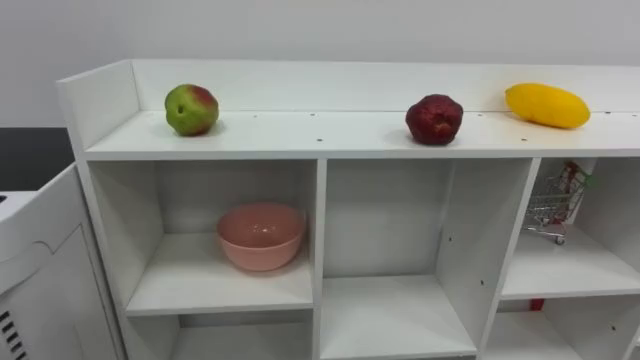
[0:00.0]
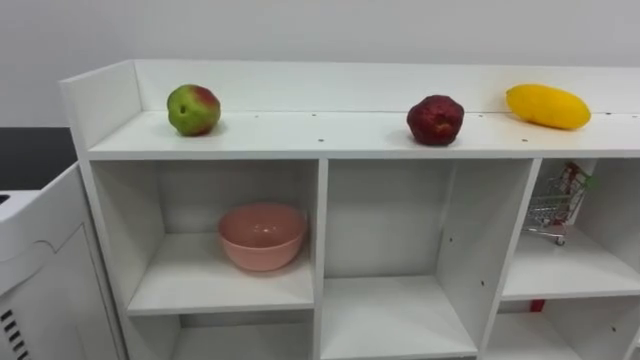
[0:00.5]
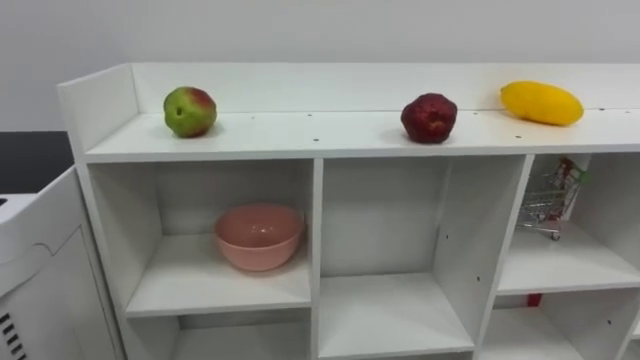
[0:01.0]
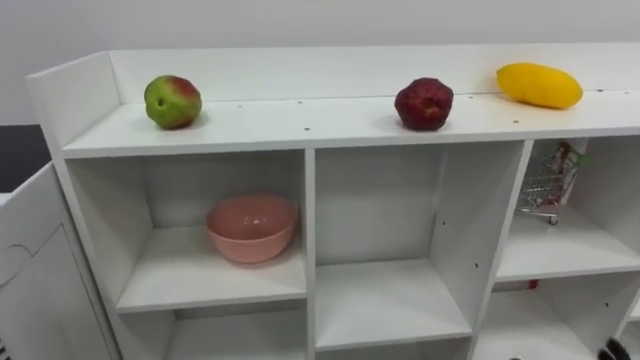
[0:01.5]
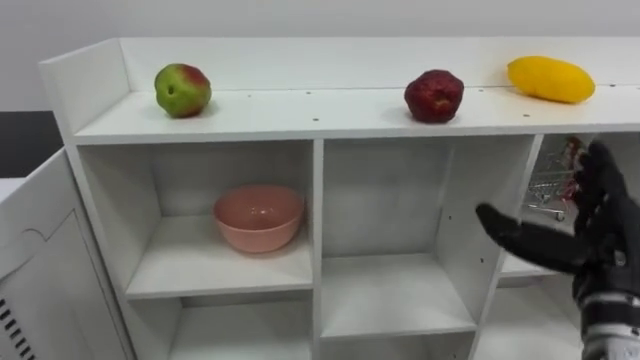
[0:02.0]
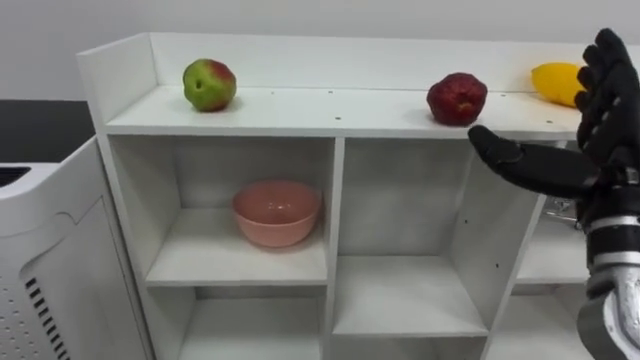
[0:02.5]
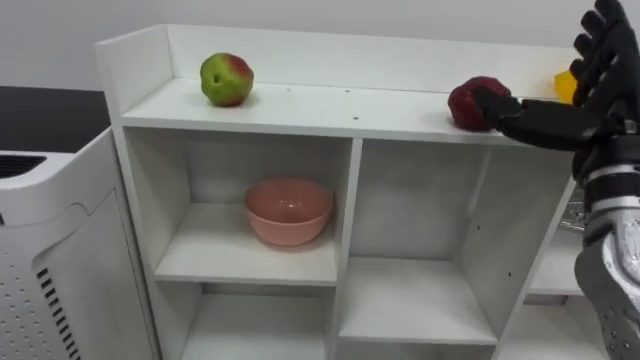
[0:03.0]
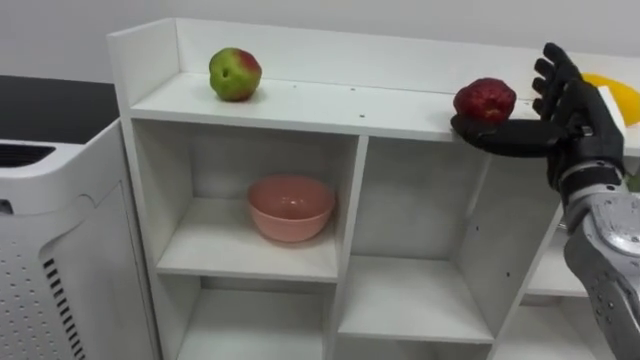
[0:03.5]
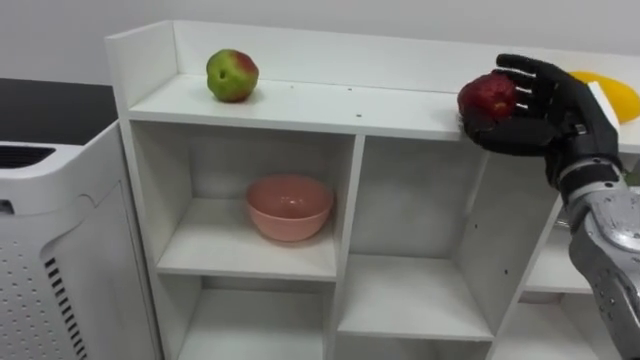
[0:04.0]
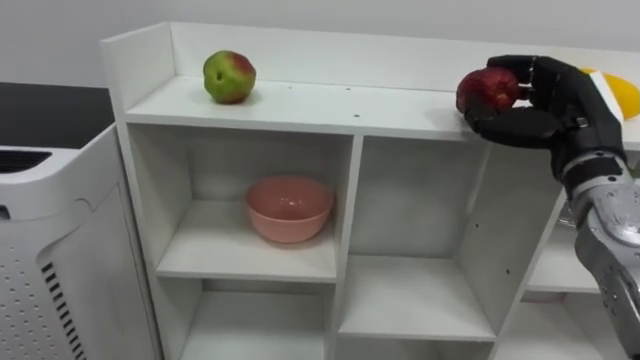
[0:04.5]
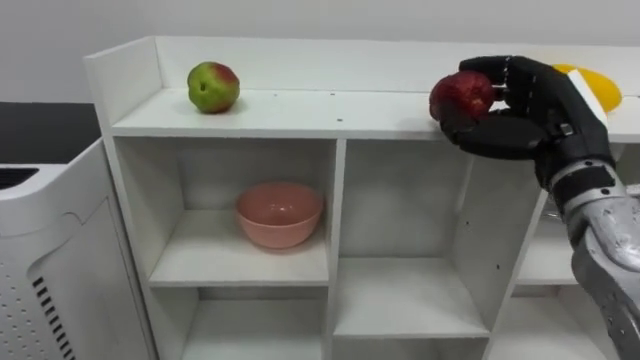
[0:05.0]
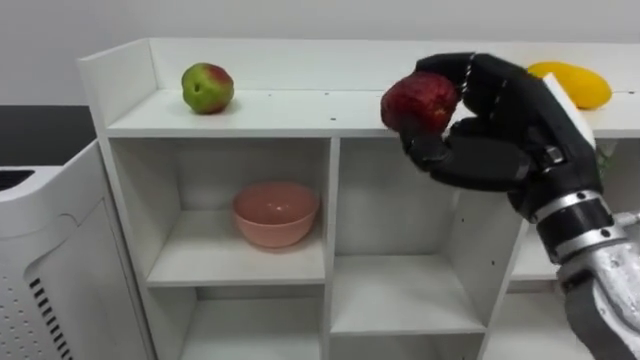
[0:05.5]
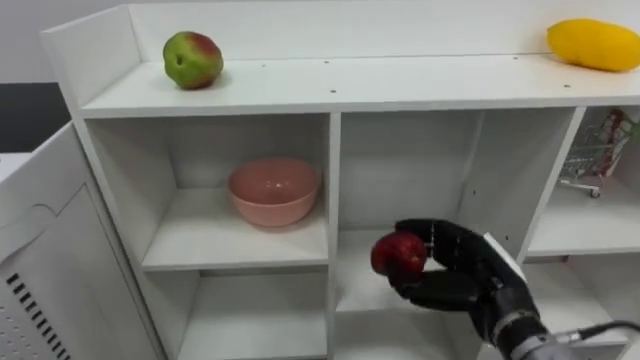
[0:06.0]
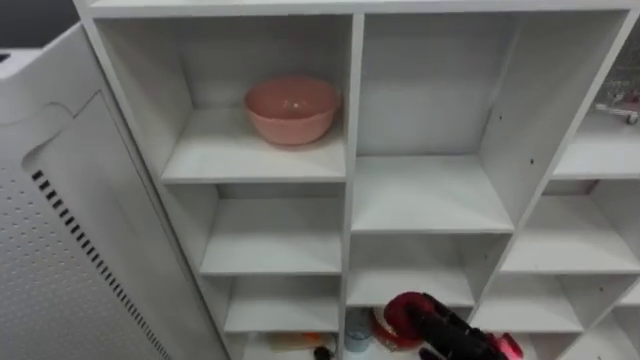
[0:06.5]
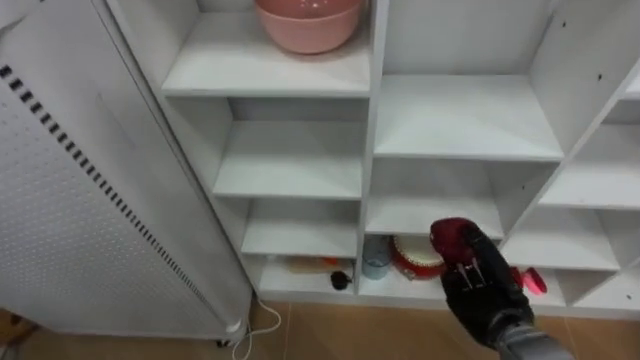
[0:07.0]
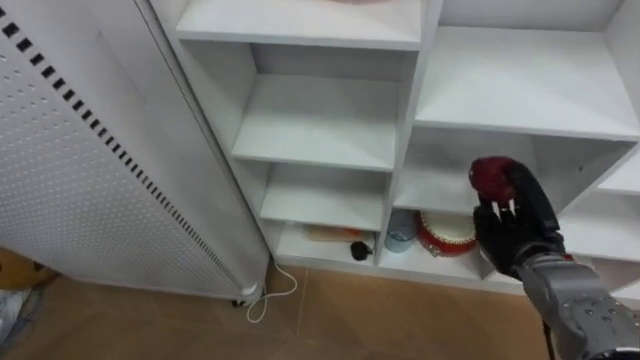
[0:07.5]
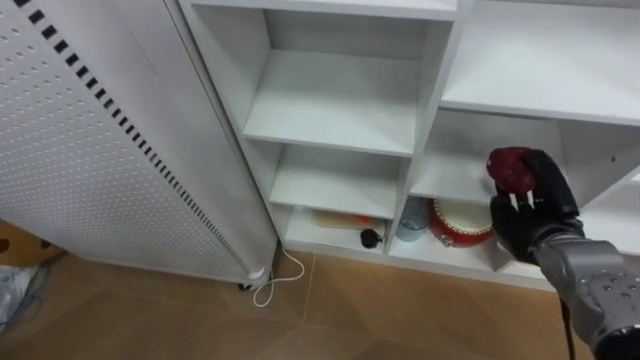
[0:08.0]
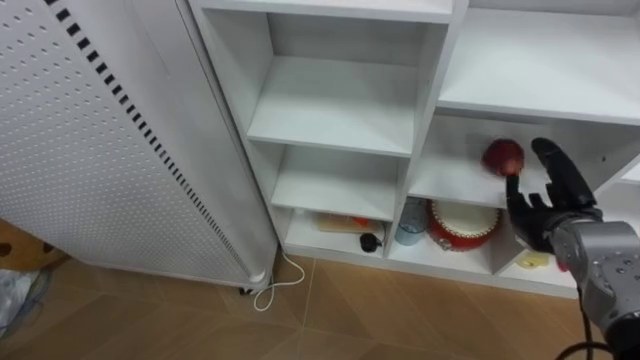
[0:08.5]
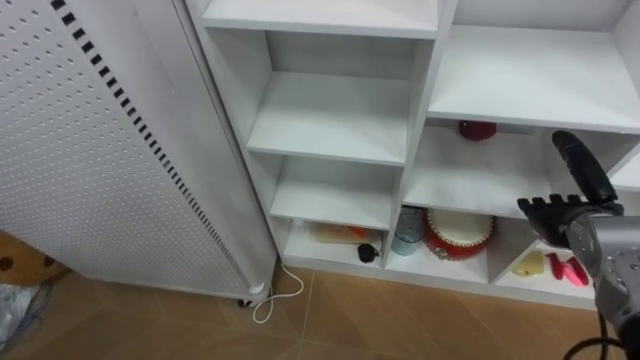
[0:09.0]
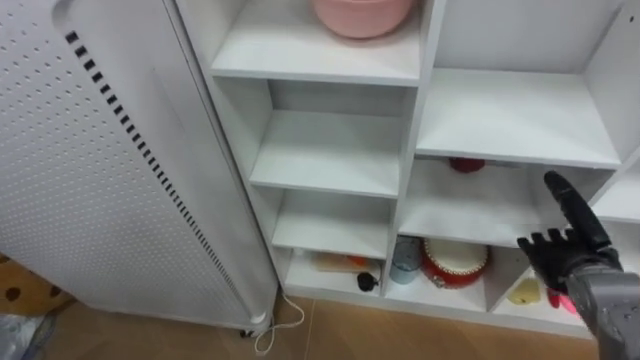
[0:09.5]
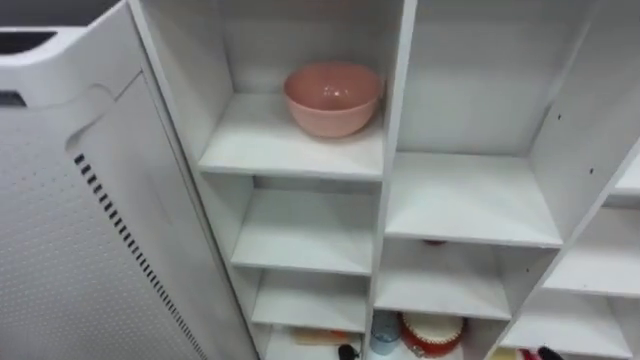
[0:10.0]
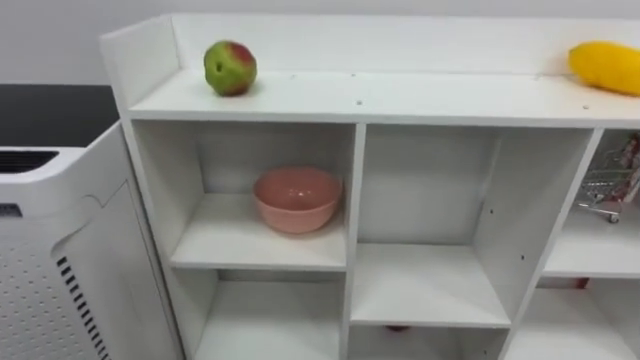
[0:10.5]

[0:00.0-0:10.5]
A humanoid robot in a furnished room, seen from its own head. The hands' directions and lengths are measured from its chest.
Task of the whole recording: Put the apple in the cell in the second column from the left and the second row from the top.
0:02.0 to 0:04.0: The right hand moves forward and upward, about 15 cm.

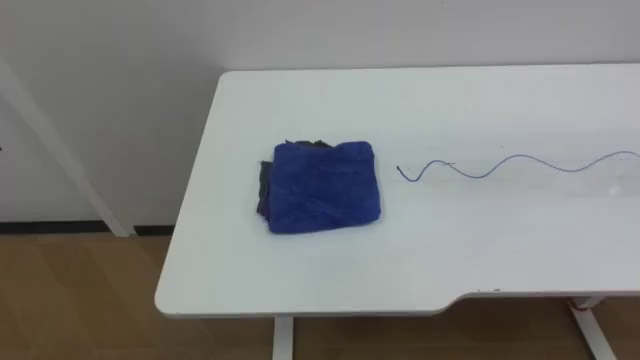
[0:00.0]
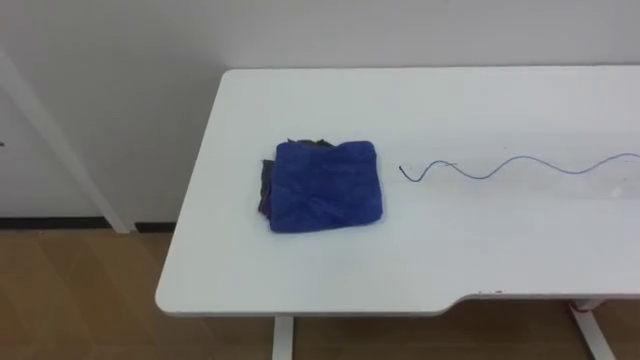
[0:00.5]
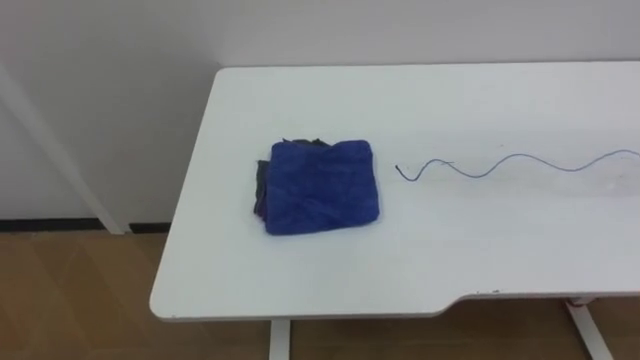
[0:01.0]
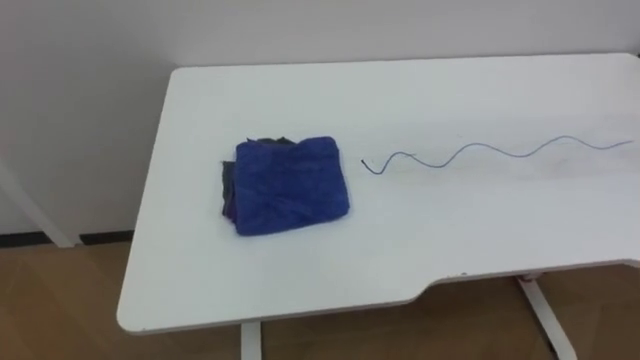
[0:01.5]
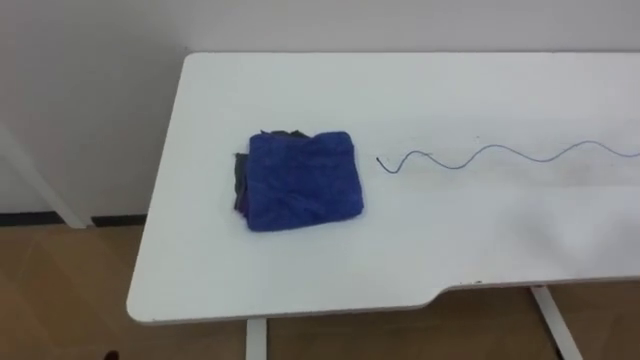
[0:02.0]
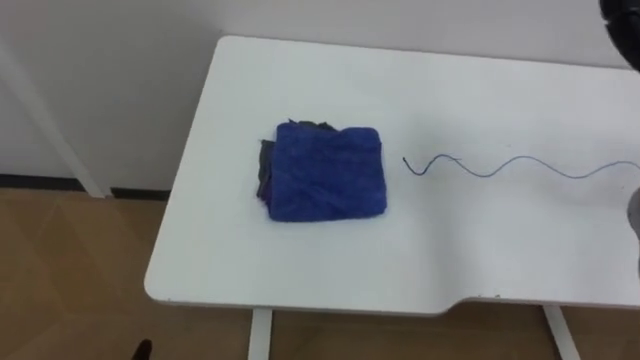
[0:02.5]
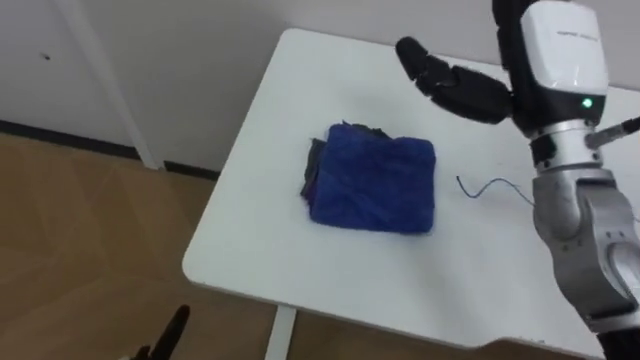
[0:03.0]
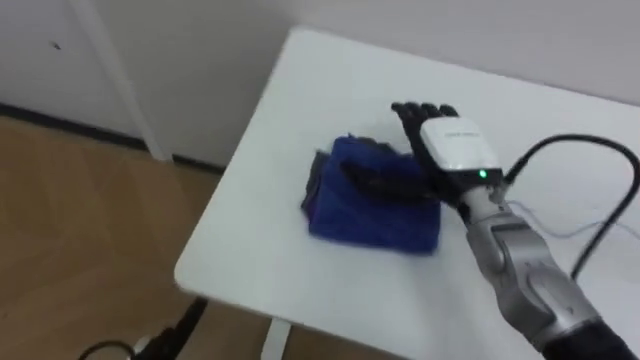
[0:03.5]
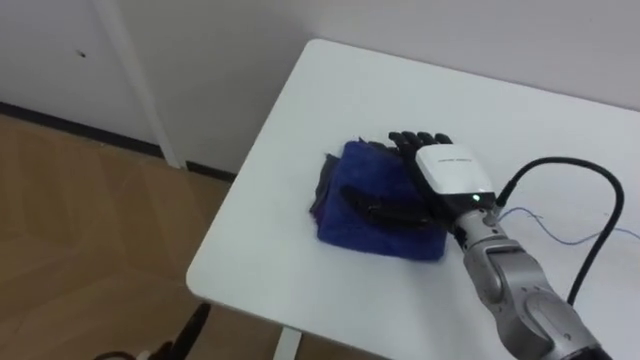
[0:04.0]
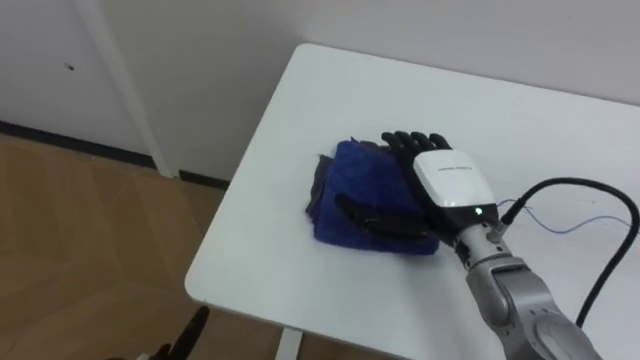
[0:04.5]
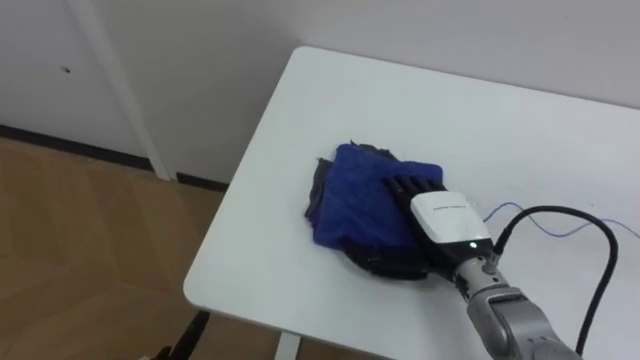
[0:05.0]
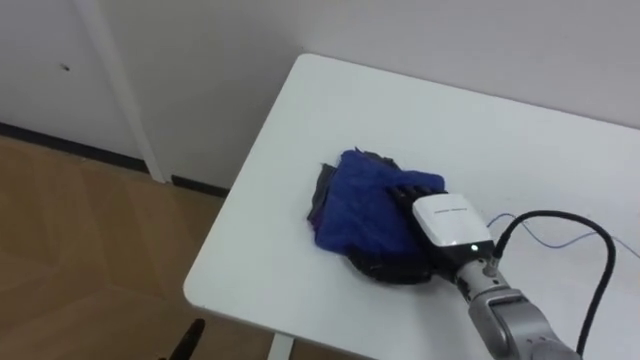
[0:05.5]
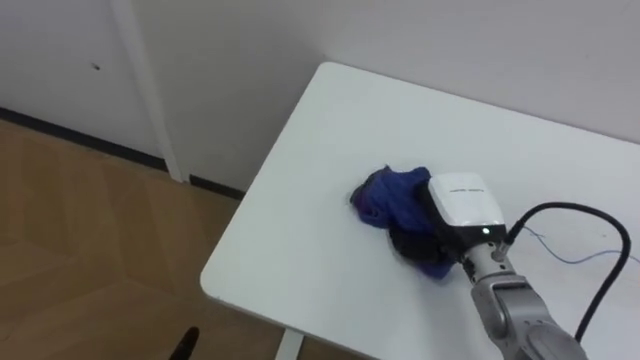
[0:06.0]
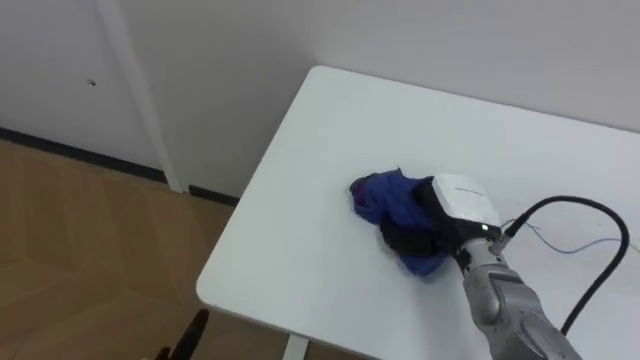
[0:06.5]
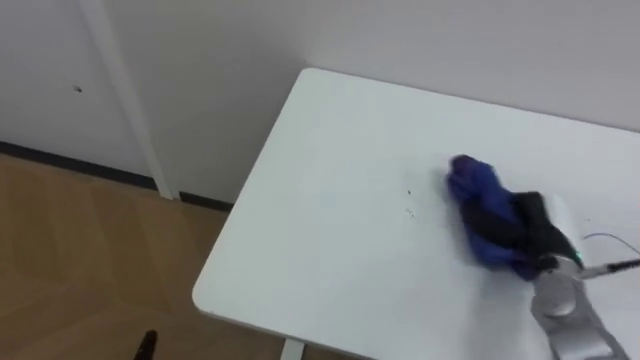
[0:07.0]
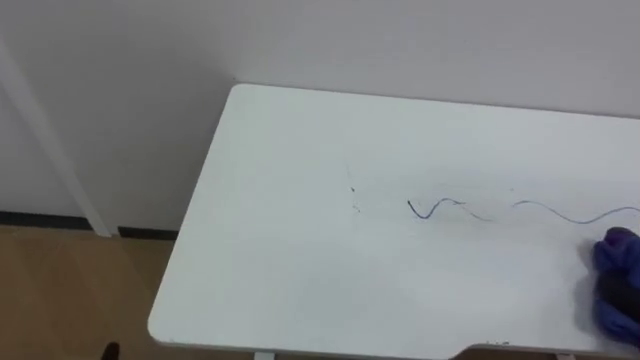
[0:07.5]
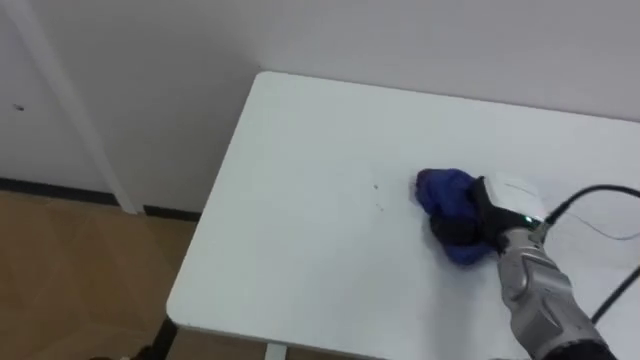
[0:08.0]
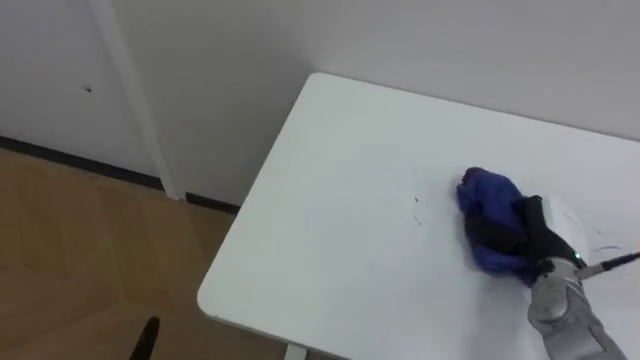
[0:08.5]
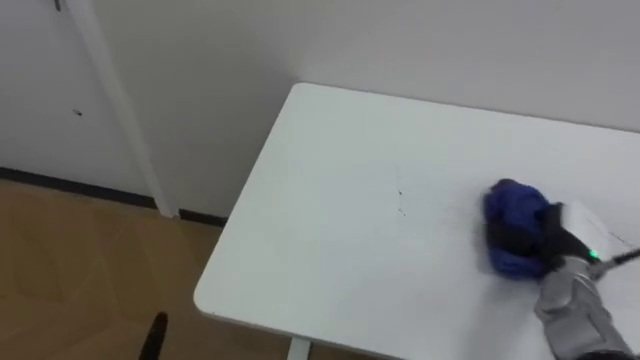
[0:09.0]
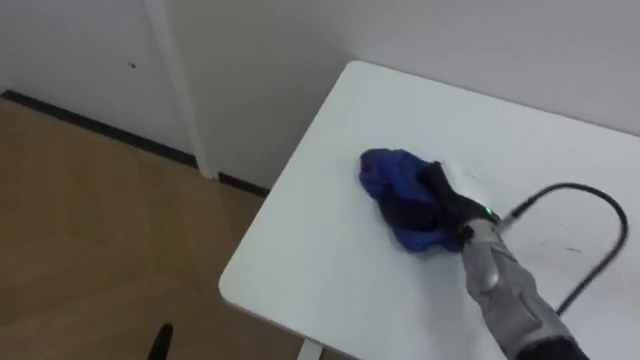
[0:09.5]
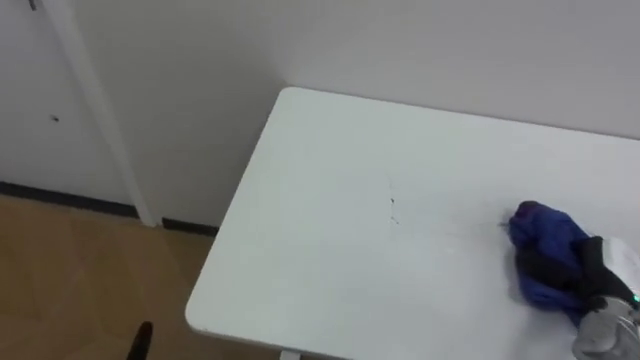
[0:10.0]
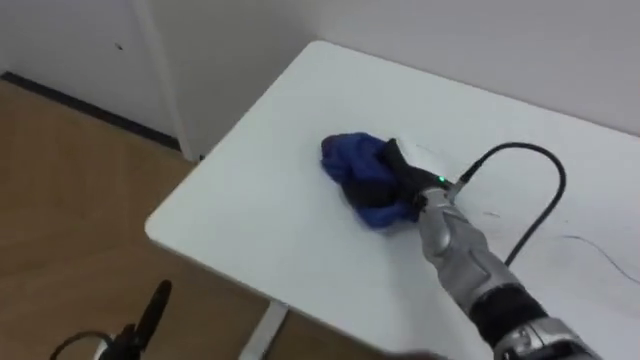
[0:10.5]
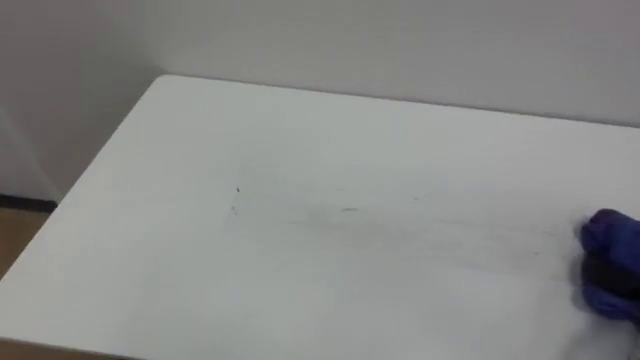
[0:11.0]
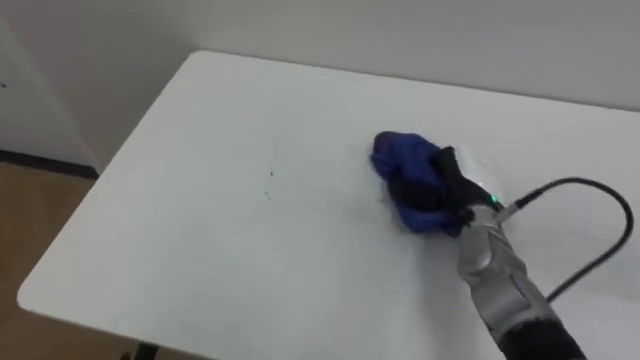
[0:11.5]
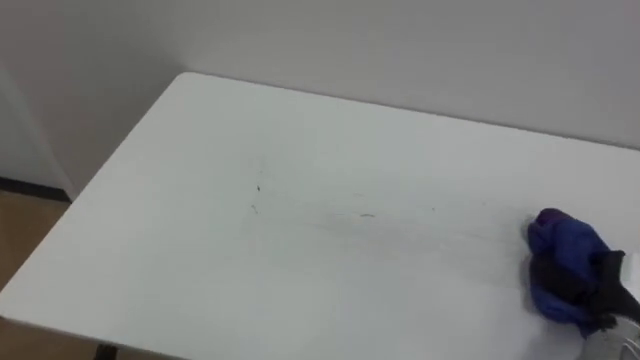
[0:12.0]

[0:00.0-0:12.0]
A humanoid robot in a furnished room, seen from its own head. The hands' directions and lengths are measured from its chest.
Task of the whole recording: Wipe the blue pen marks off the table with the rag.
0:04.0 to 0:06.0: The right hand ends up some 5 cm from where it was, and closes.
0:08.0 to 0:10.0: The right hand swings left and right, some 20 cm each way, with 2 reversals.
